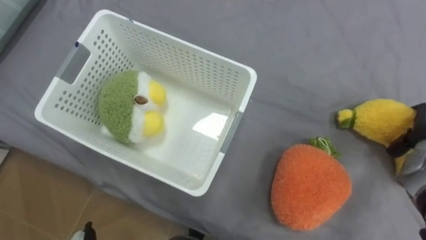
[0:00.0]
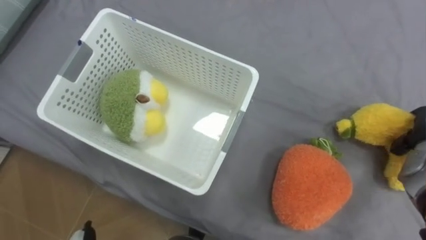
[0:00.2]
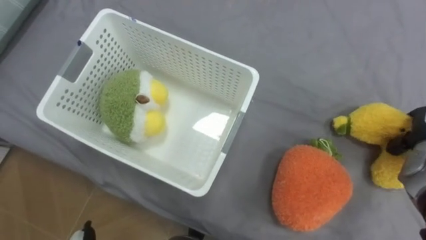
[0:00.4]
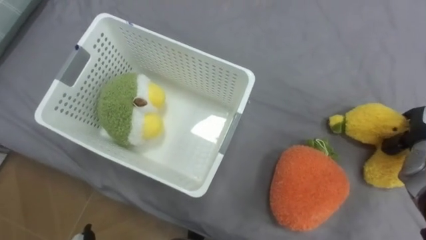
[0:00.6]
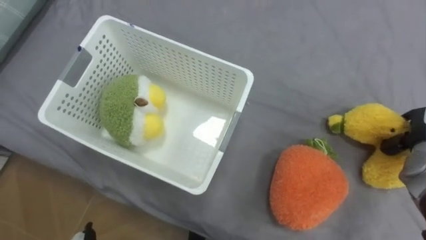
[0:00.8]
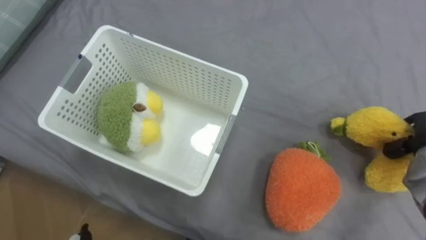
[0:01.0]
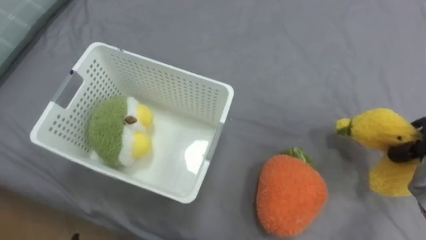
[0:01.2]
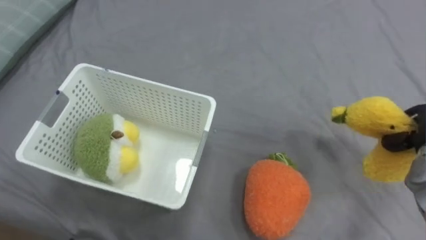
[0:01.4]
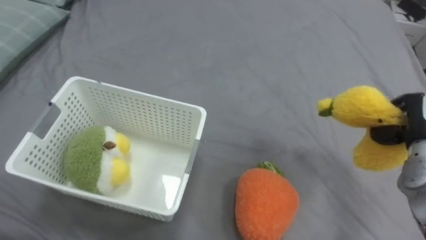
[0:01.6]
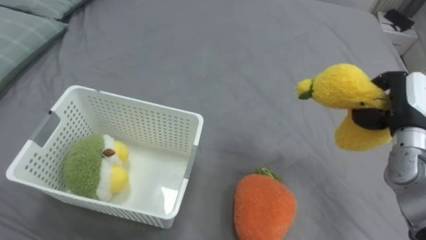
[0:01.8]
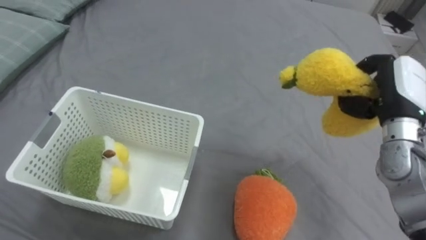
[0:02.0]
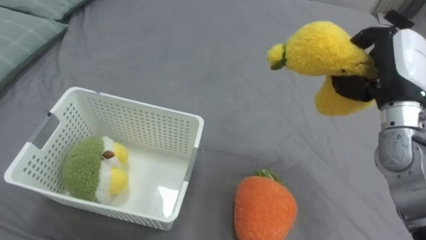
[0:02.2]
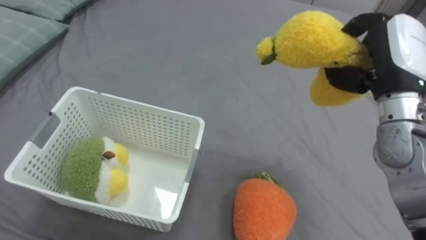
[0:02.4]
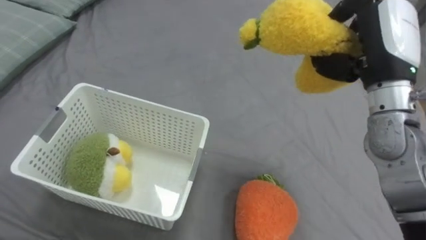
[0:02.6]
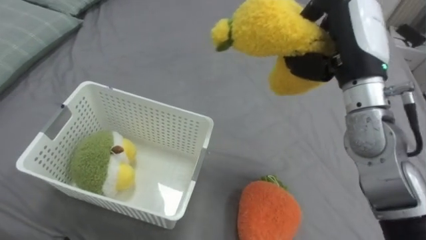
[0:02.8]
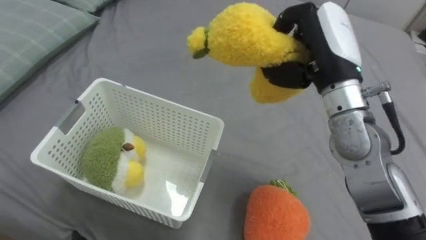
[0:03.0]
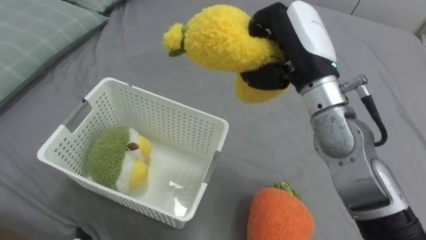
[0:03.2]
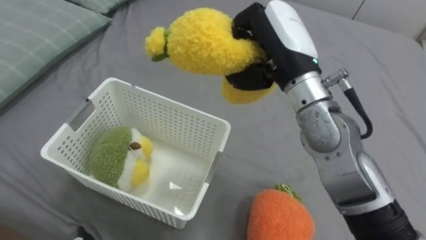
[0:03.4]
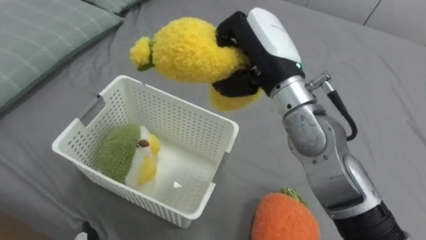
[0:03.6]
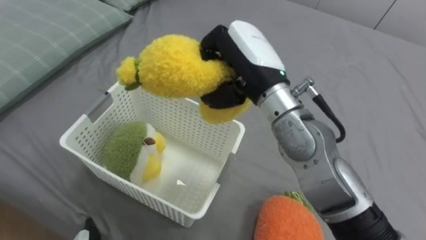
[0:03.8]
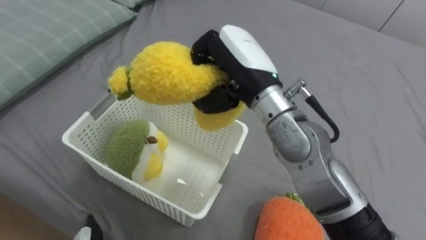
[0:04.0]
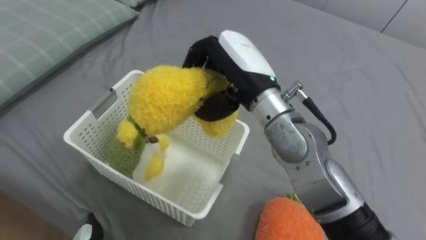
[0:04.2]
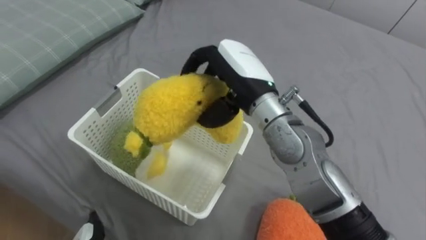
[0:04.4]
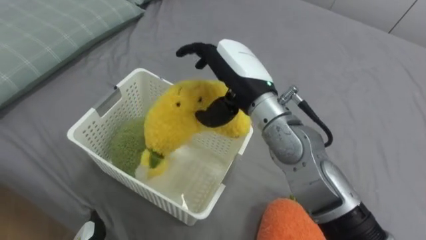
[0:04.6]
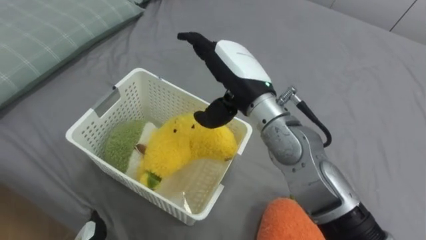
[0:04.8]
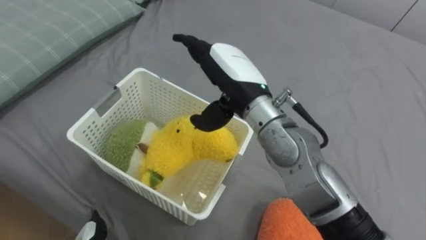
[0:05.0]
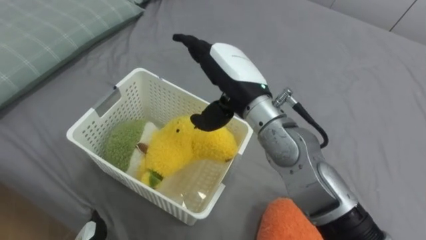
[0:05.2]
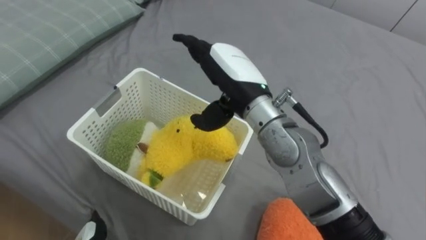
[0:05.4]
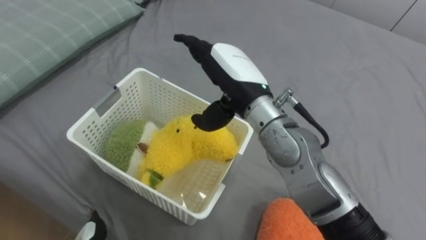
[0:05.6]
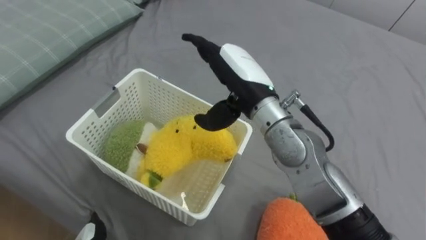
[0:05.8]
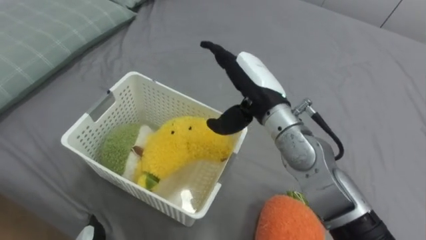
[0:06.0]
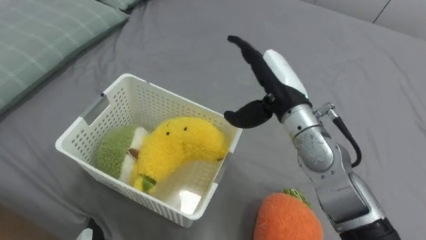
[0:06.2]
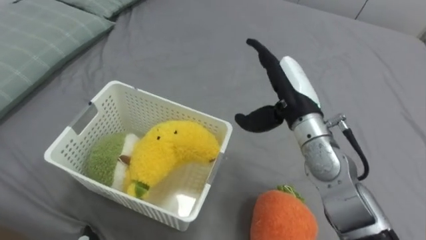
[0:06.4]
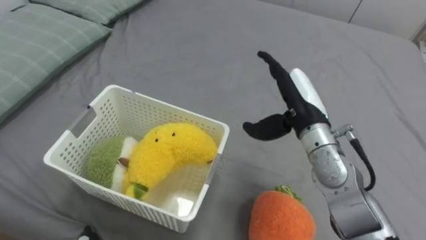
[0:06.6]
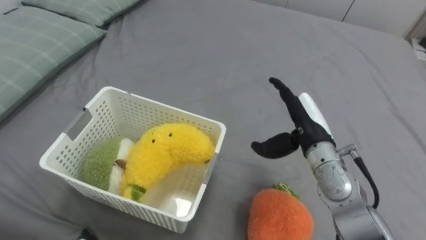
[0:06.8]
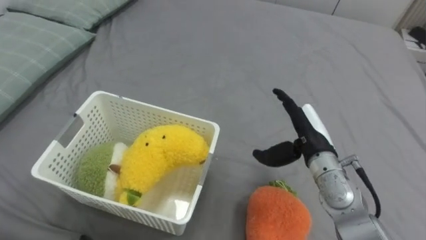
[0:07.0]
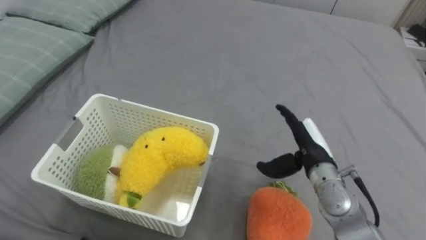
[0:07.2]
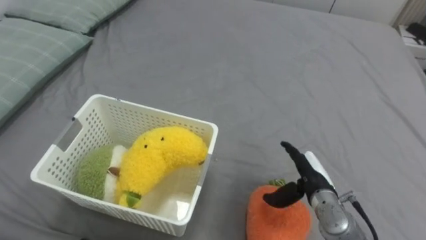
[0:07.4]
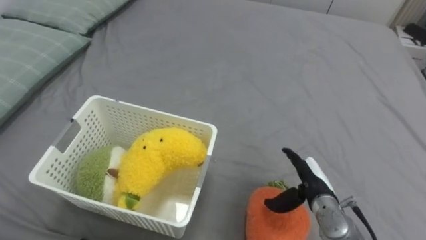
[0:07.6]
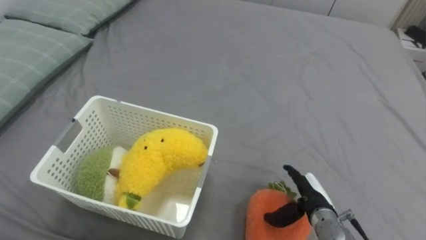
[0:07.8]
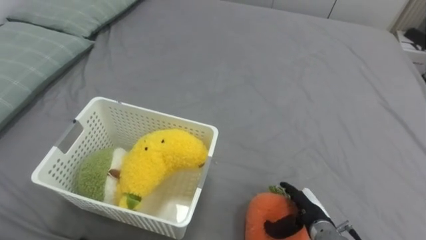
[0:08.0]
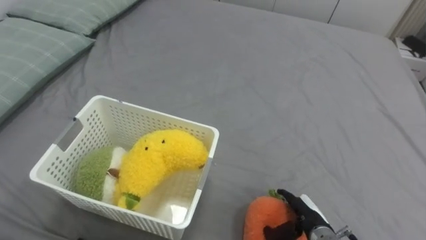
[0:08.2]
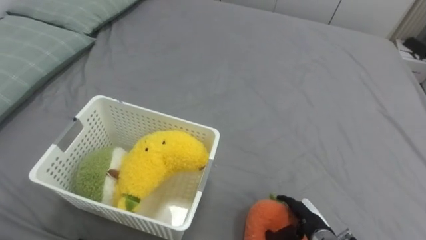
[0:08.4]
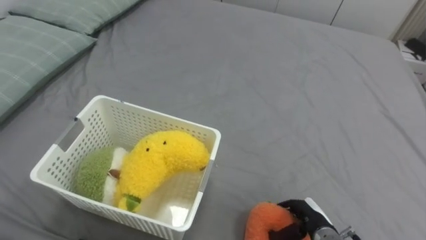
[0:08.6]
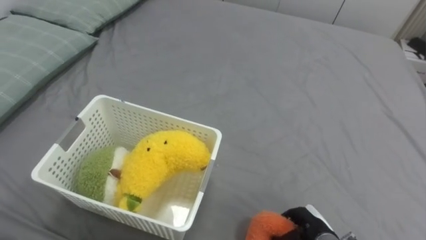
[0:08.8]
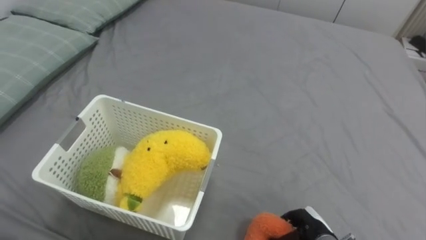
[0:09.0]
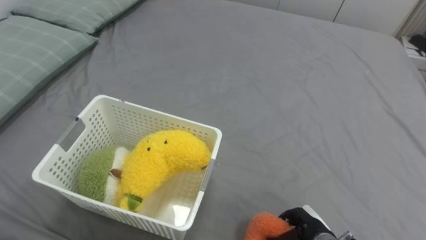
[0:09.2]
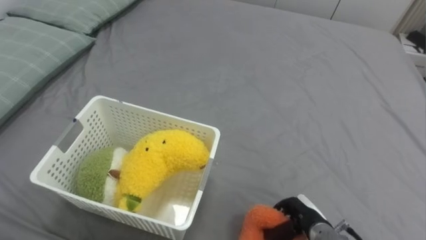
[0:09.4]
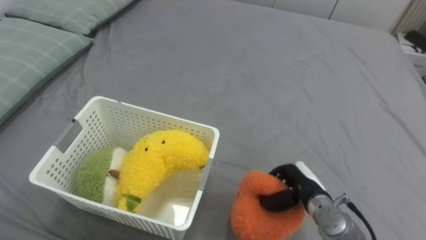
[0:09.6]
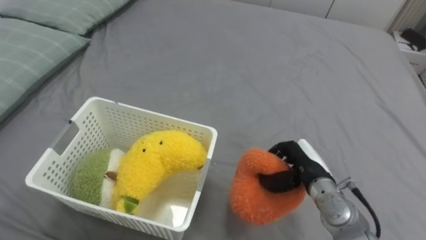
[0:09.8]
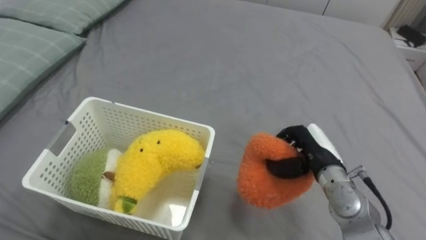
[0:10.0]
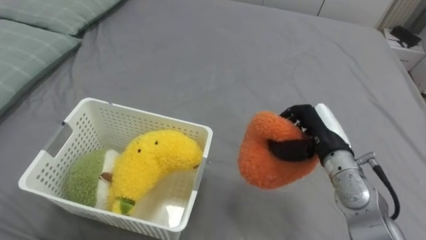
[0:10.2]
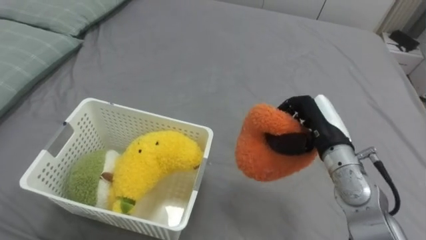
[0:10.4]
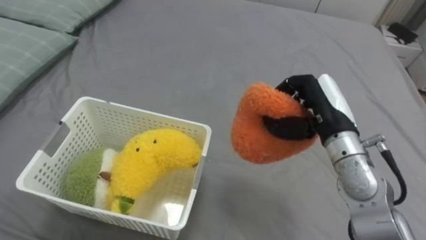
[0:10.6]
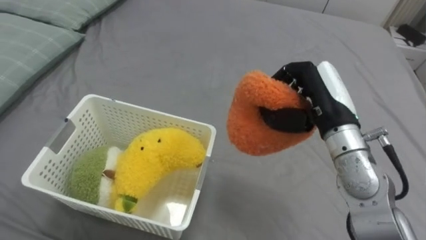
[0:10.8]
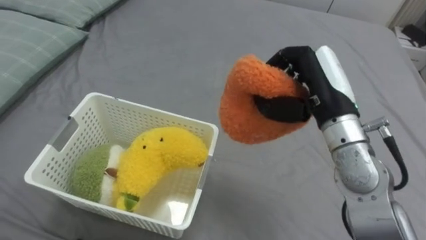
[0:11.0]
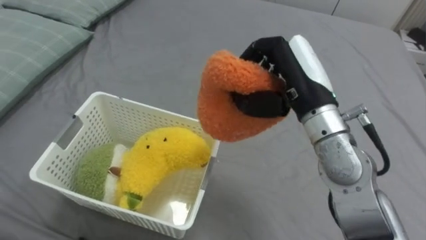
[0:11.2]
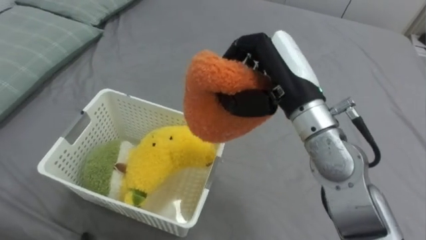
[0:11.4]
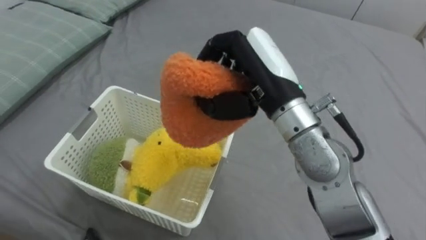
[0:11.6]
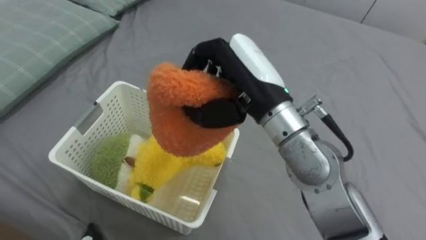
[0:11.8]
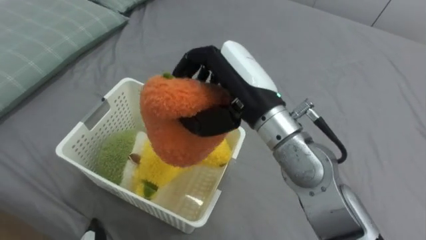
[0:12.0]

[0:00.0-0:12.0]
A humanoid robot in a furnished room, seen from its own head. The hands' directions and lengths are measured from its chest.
Task of the whole recording: Put the toys on the bed into the basket on the left.
0:01.6 to 0:03.0: The right hand shifts approximately 25 cm to the left and upward.
0:03.0 to 0:04.4: The right hand goes approximately 10 cm to the left, and opens.
0:04.4 to 0:06.0: The right hand opens.
0:06.0 to 0:07.6: The right hand travels downward and to the right by some 25 cm.
0:07.6 to 0:09.0: The right hand travels downward and backward by approximately 10 cm, and closes.
0:09.0 to 0:10.4: The right hand goes about 25 cm upward and forward.
0:10.4 to 0:12.0: The right hand goes approximately 20 cm to the left and upward.

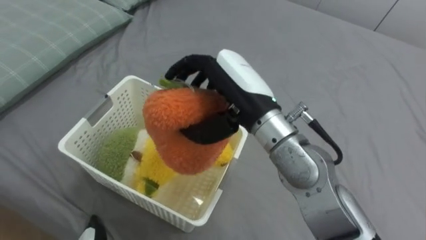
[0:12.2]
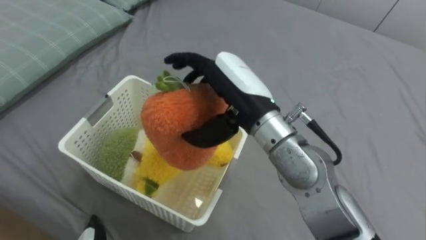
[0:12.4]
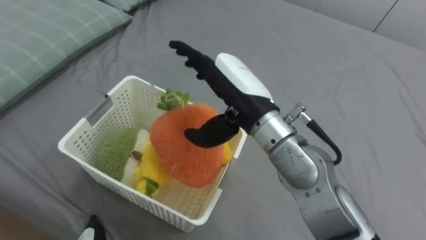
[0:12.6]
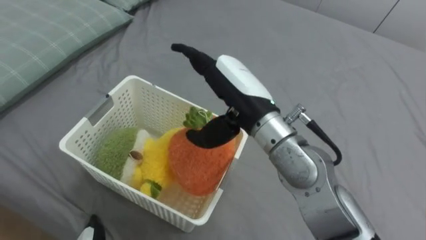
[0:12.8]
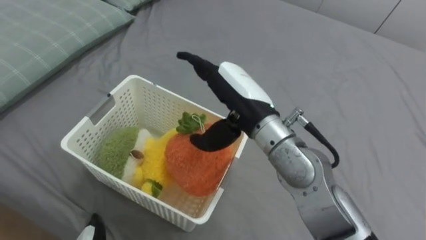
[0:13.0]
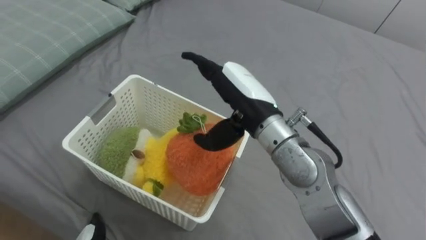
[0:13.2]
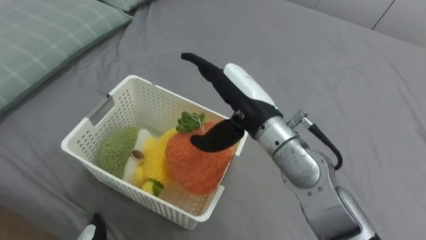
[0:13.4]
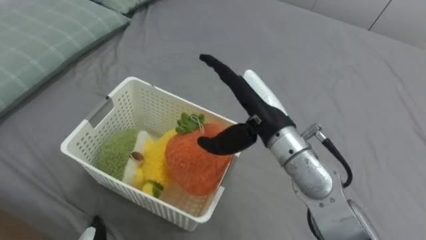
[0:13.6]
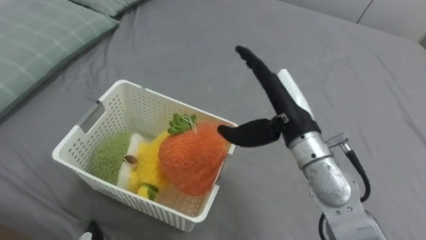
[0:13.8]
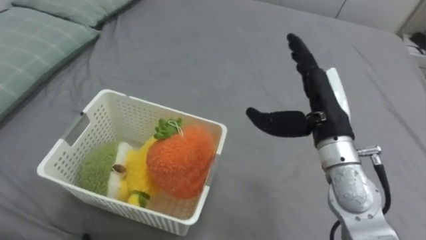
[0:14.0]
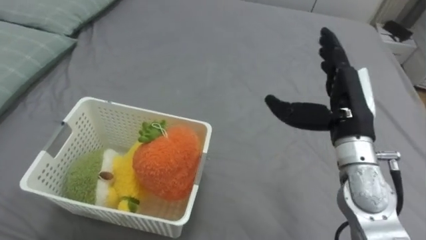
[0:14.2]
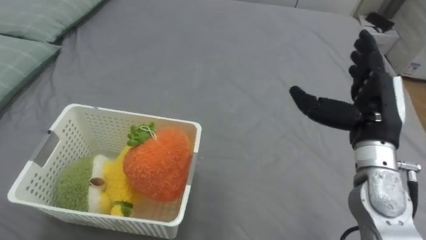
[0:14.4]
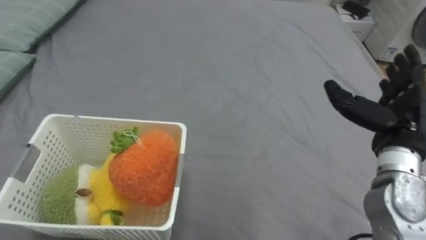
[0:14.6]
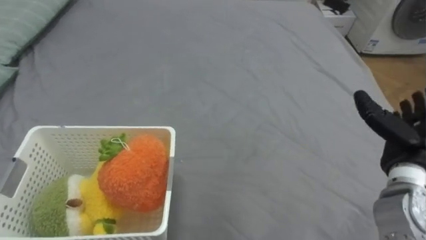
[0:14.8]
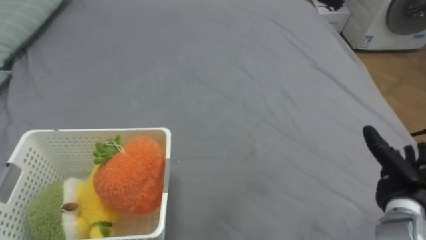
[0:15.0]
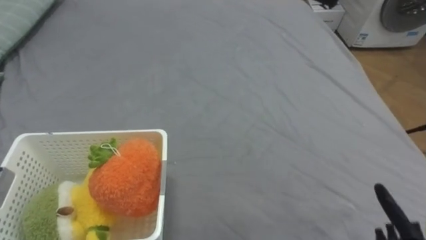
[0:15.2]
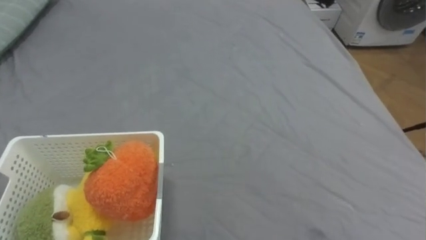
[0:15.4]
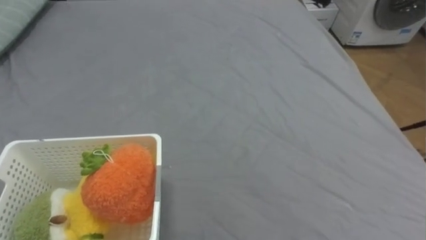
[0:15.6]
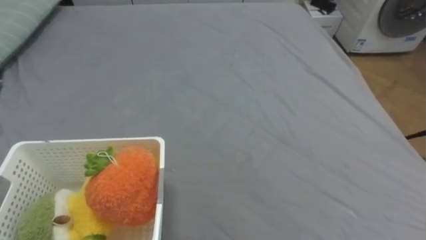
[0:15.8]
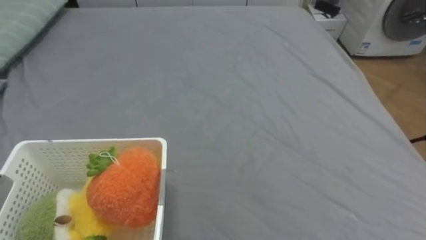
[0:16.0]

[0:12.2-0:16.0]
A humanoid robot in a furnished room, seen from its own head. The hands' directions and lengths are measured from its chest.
Task of the whole recording: Put the toys on the bed into the basket on the left.
0:12.2 to 0:13.4: The right hand opens its fingers.
0:13.4 to 0:14.8: The right hand shifts about 30 cm to the right.

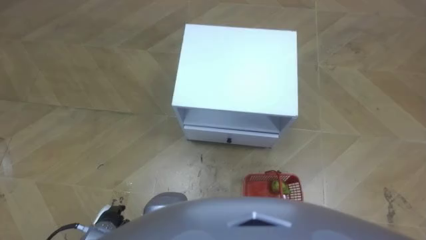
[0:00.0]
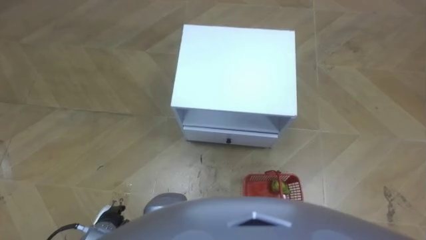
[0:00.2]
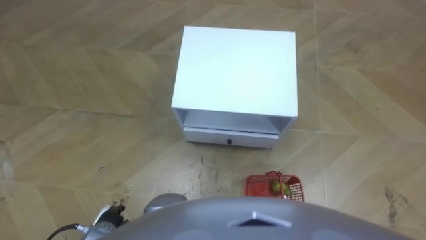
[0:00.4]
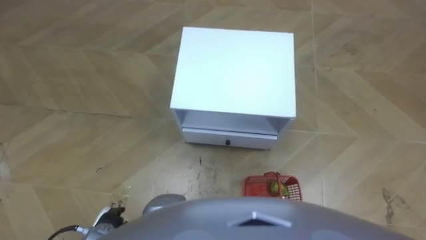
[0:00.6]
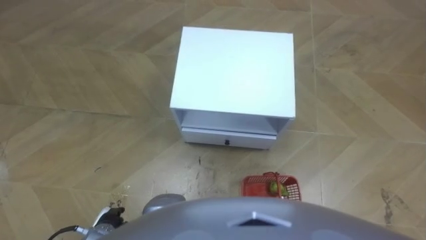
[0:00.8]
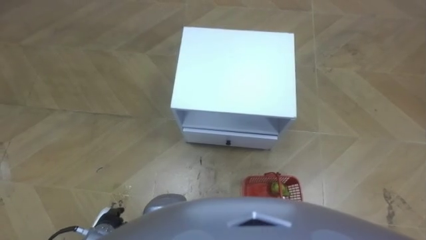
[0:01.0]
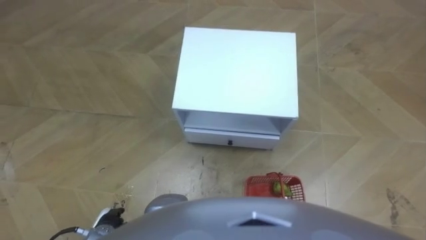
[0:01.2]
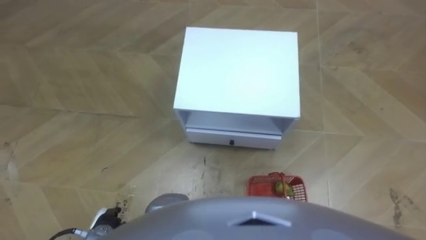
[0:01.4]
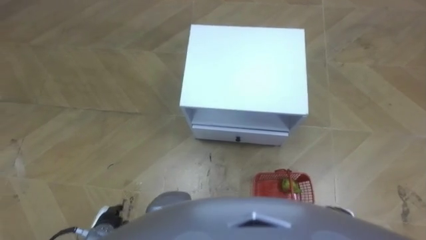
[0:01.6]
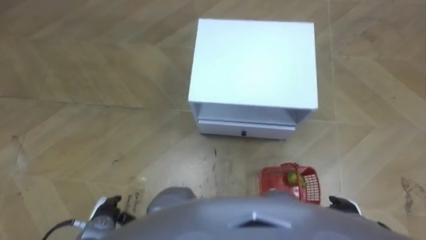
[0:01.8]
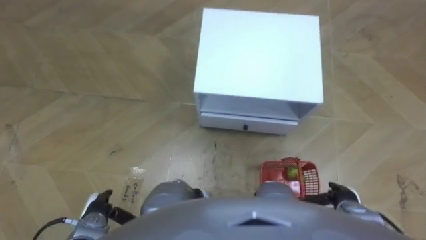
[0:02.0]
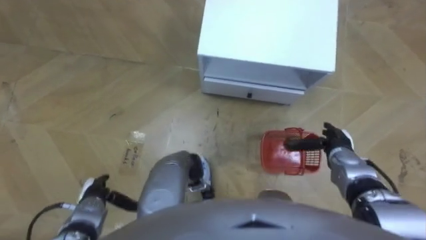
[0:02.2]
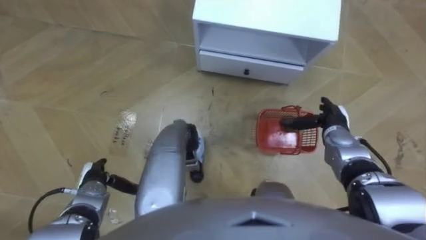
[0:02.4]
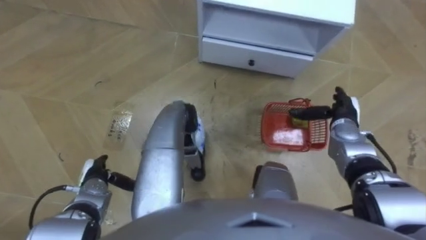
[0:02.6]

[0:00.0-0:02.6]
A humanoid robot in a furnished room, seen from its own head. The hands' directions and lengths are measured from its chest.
Task of the whole recording: Pick up the fruit basket from the floor and place it on the cabinet.
0:01.2 to 0:02.6: The left hand shifts approximately 10 cm forward. The right hand goes some 25 cm forward.
